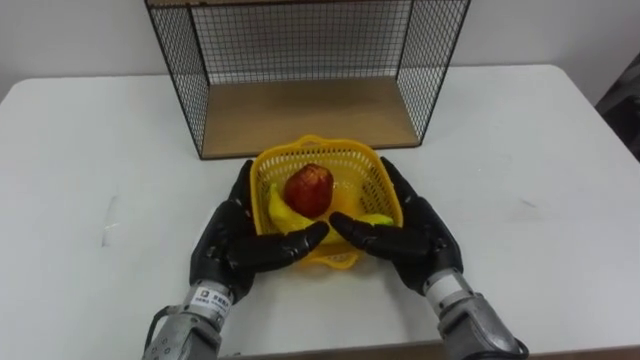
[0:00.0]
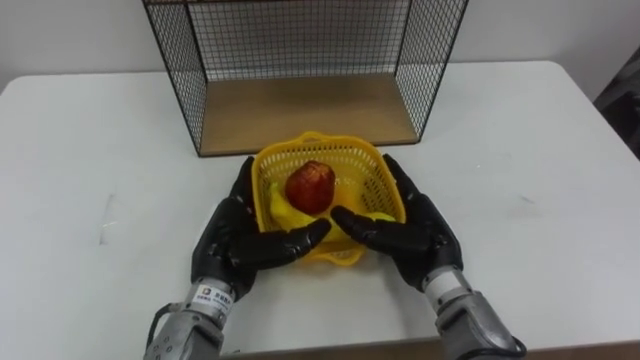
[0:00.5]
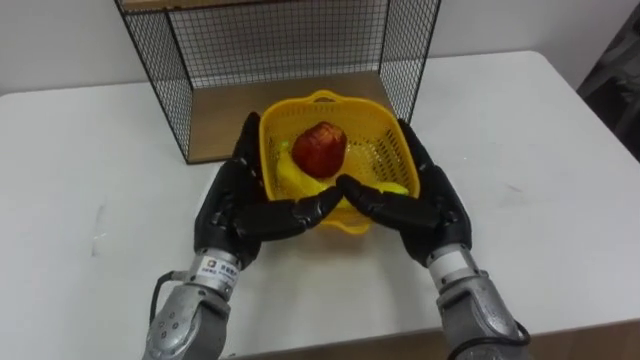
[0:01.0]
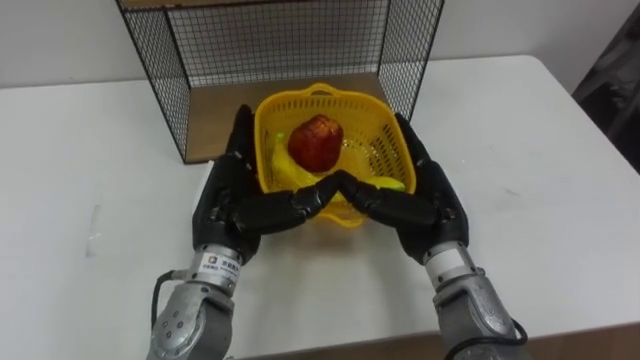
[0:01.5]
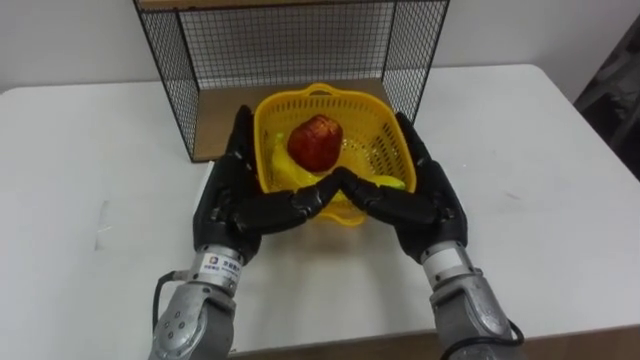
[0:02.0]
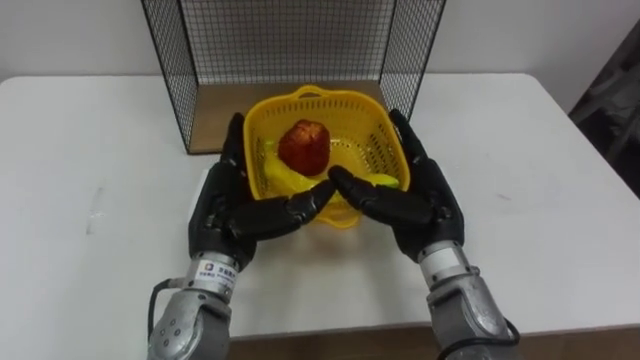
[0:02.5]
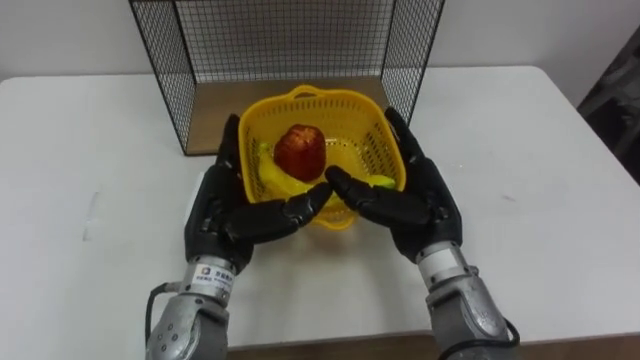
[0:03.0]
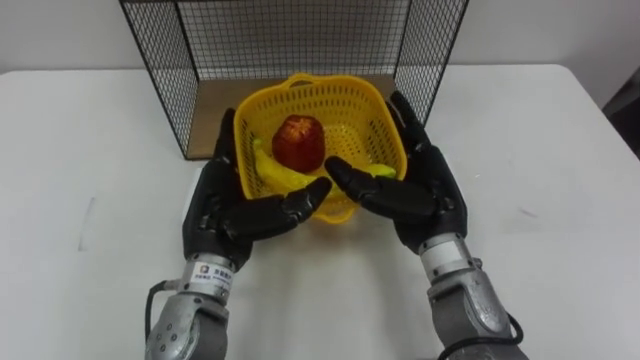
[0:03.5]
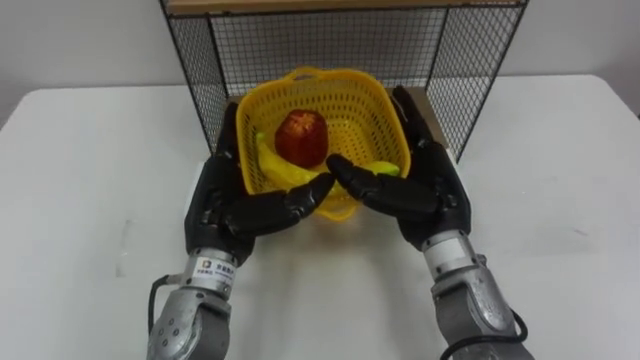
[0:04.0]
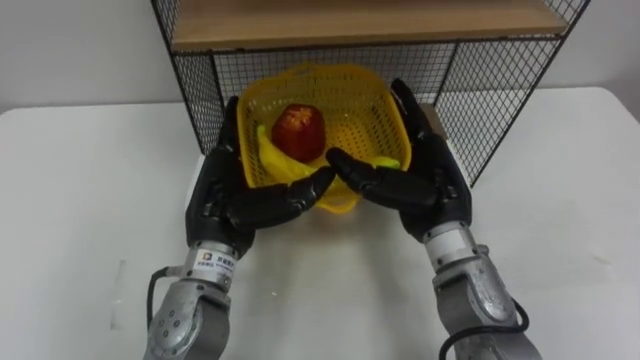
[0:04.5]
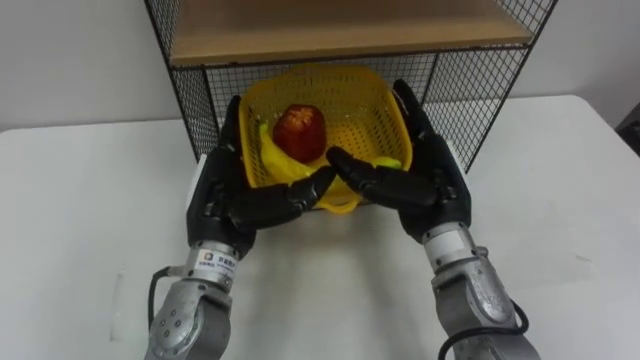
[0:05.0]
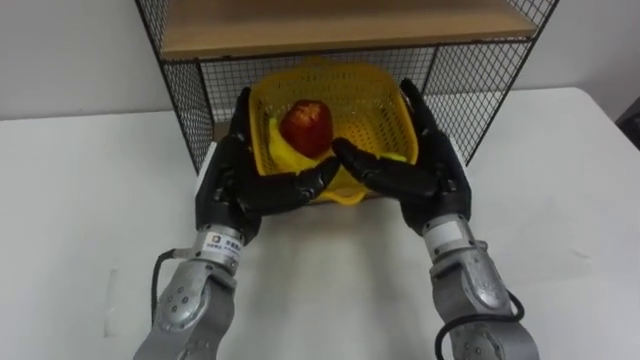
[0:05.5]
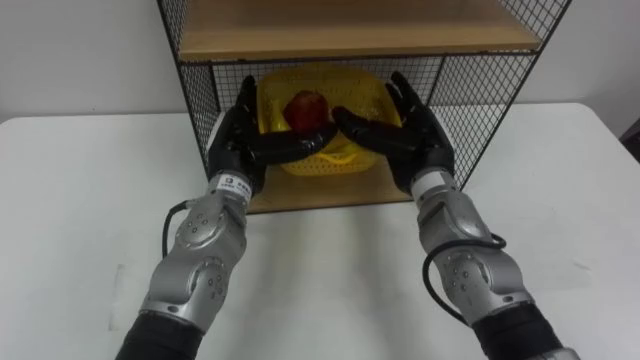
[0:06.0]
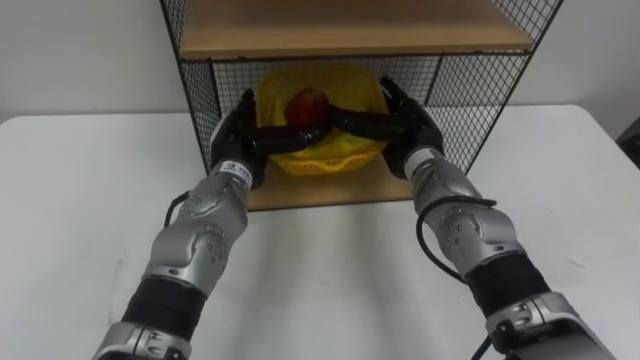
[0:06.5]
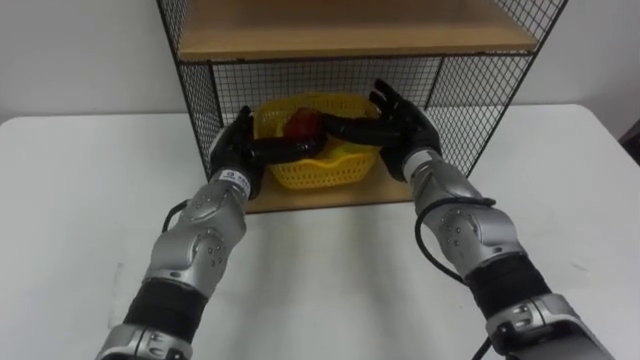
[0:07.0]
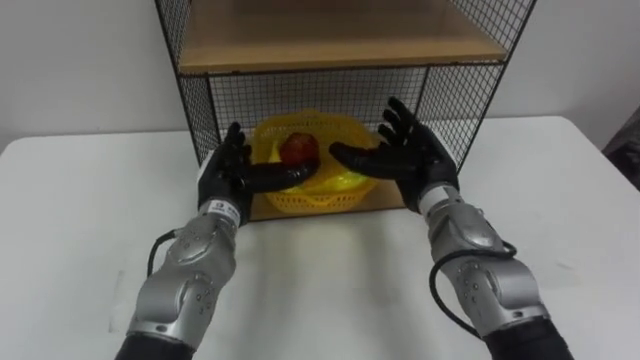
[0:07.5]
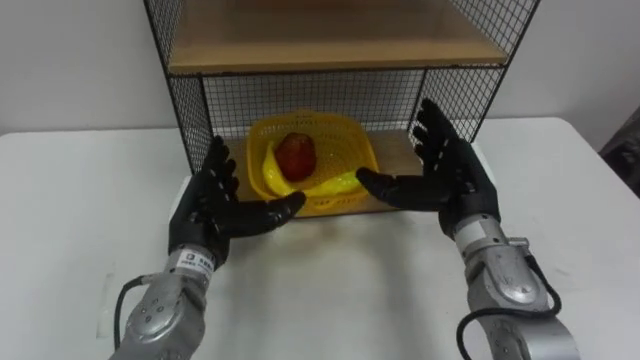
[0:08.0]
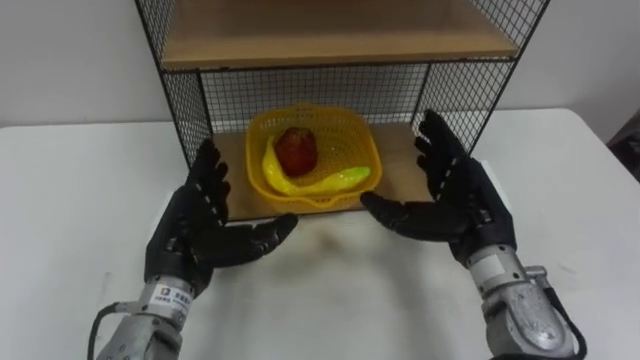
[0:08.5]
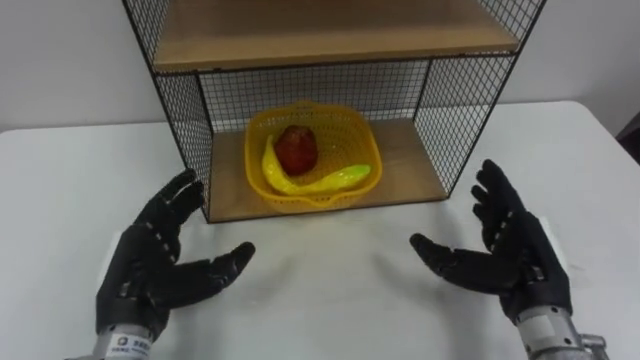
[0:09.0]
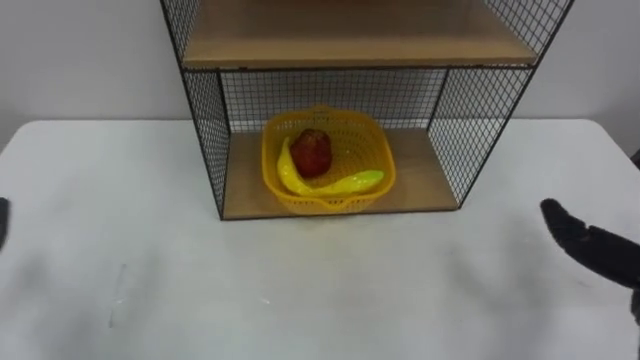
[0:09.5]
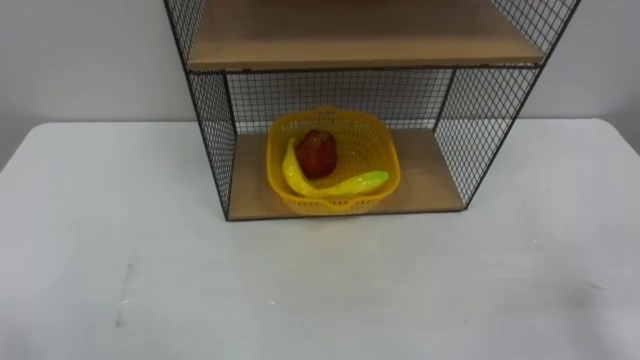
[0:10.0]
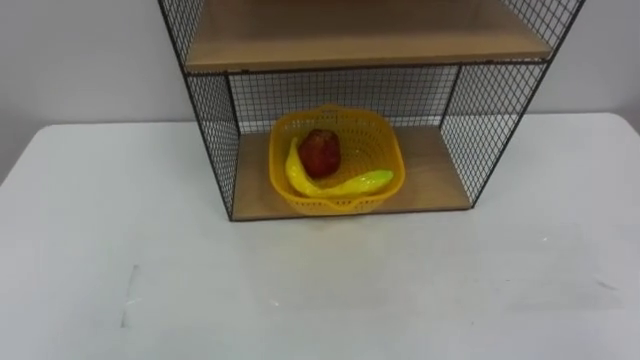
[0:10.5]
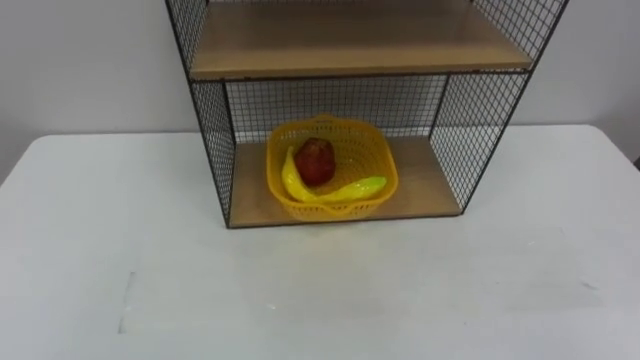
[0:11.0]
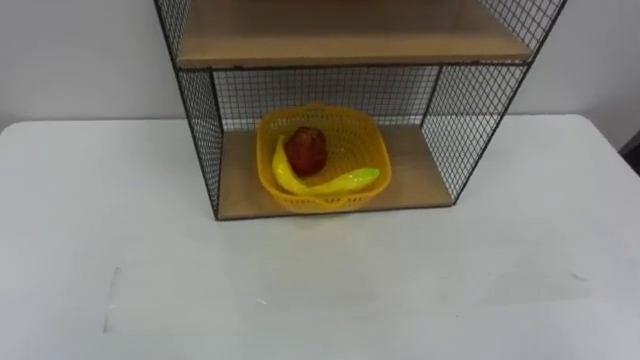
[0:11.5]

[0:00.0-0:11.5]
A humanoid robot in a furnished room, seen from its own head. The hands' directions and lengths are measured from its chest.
Task of the whole recording: Put the fruit on the table into the basket, then place the basket on the shelf.
0:00.0 to 0:02.0: The right hand moves roughly 5 cm. The left hand travels upward by about 5 cm.
0:04.0 to 0:06.0: The hands both shift forward by roughly 10 cm.
0:06.0 to 0:07.5: The left hand changes place by about 5 cm.
